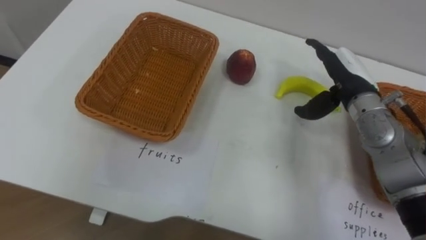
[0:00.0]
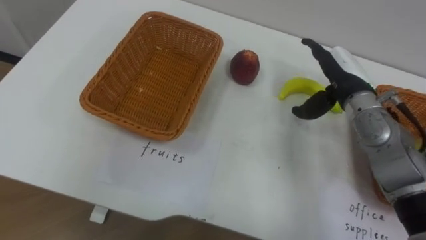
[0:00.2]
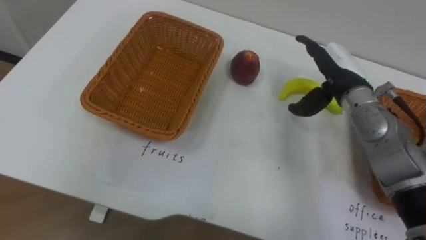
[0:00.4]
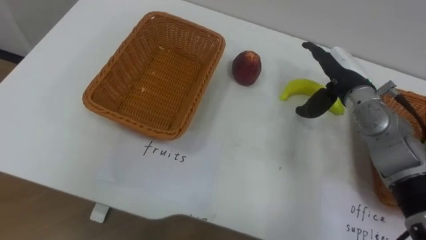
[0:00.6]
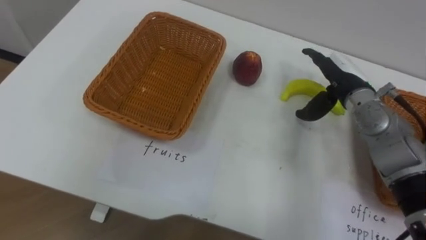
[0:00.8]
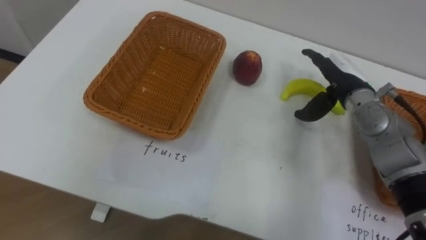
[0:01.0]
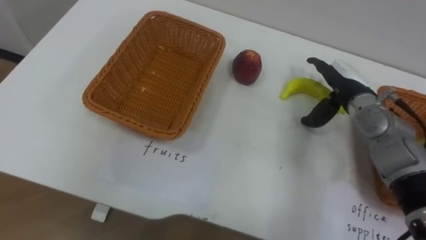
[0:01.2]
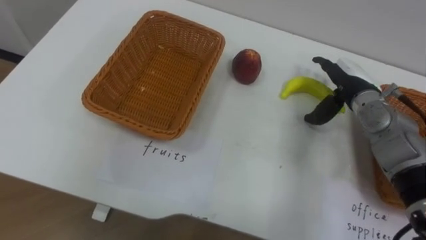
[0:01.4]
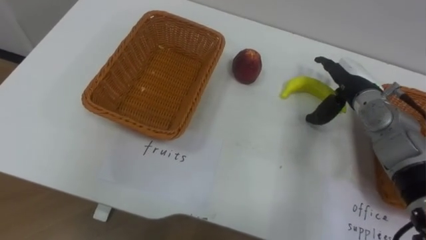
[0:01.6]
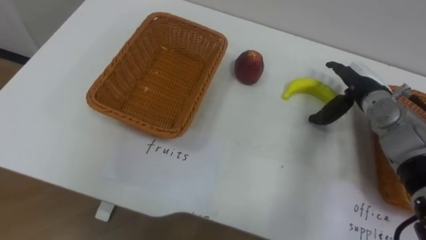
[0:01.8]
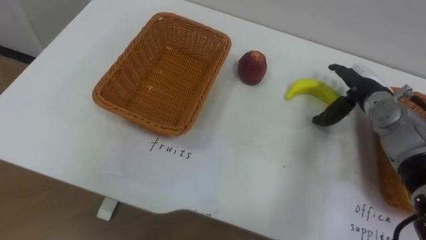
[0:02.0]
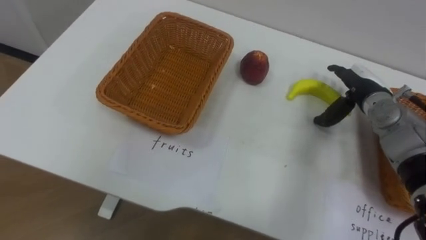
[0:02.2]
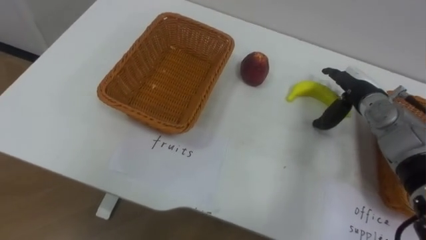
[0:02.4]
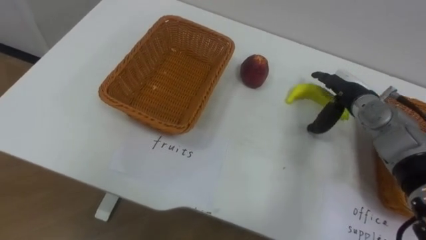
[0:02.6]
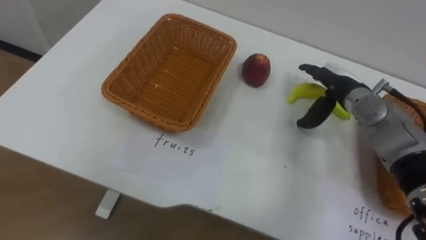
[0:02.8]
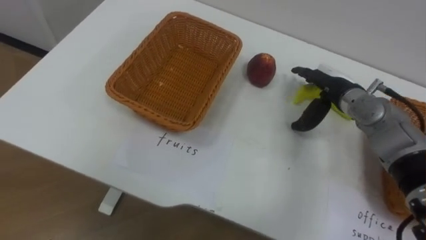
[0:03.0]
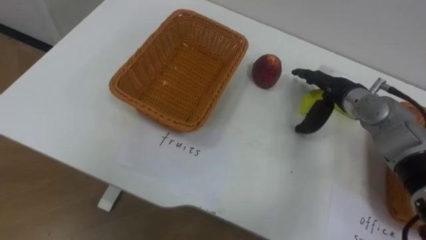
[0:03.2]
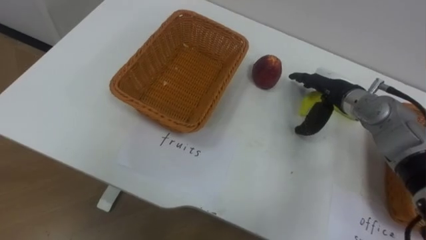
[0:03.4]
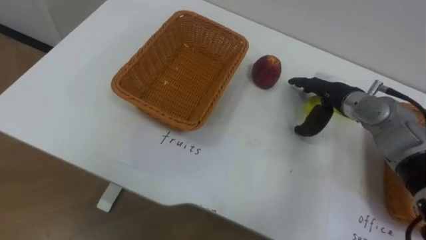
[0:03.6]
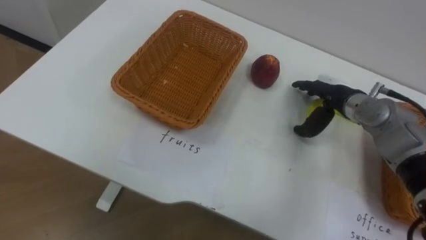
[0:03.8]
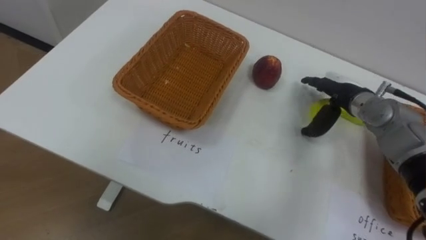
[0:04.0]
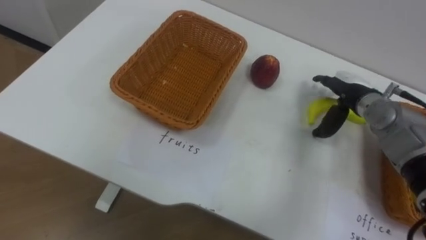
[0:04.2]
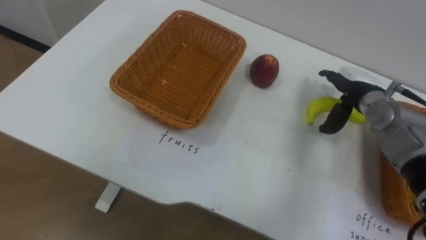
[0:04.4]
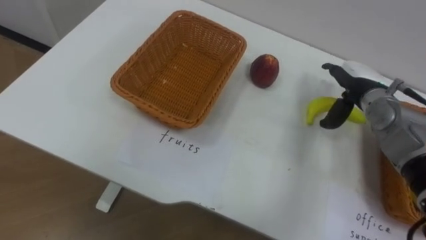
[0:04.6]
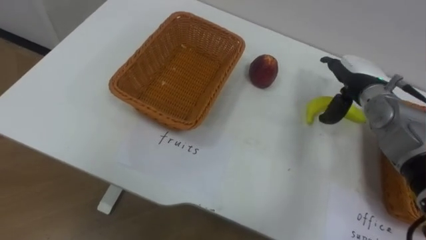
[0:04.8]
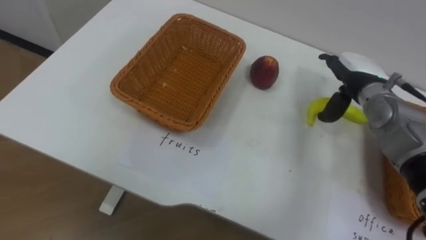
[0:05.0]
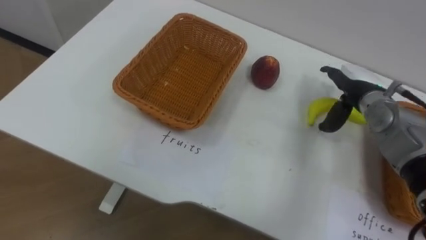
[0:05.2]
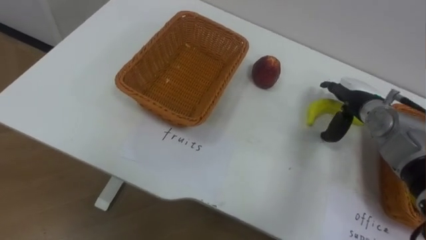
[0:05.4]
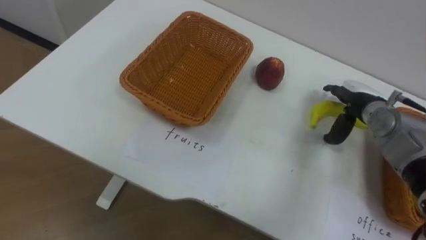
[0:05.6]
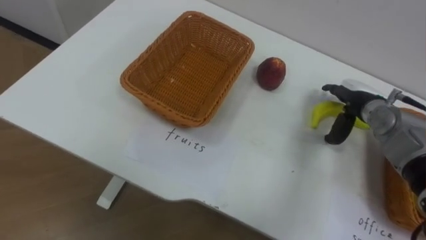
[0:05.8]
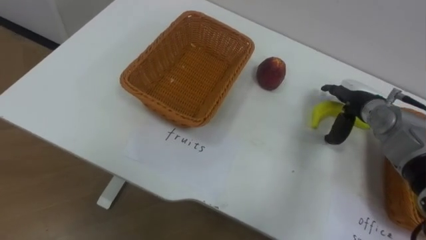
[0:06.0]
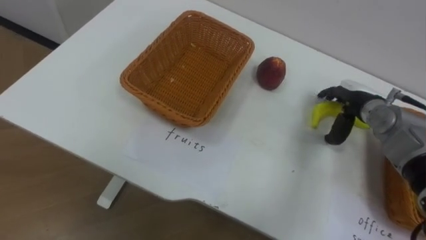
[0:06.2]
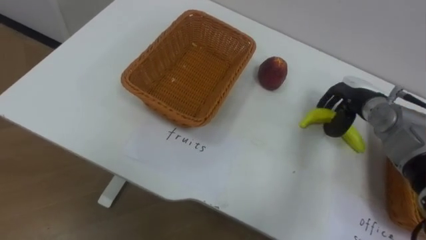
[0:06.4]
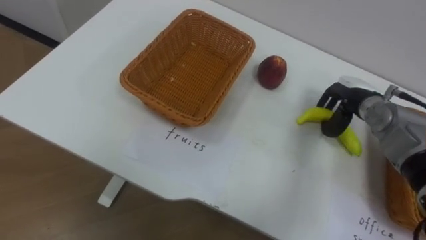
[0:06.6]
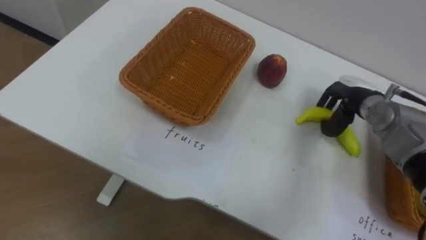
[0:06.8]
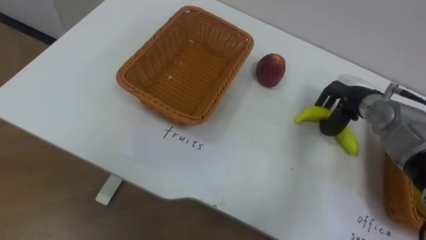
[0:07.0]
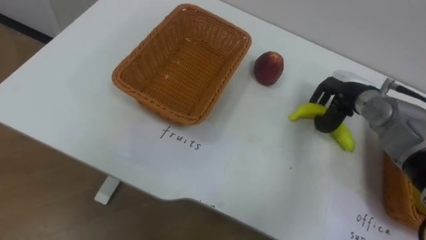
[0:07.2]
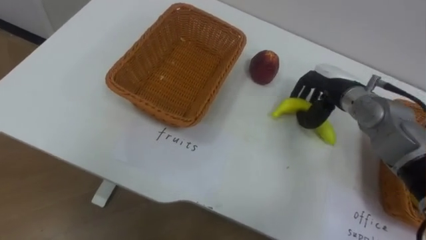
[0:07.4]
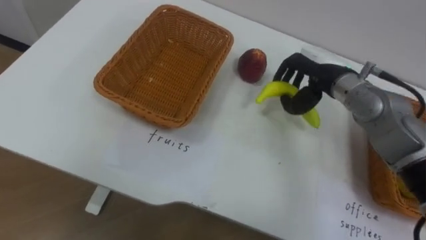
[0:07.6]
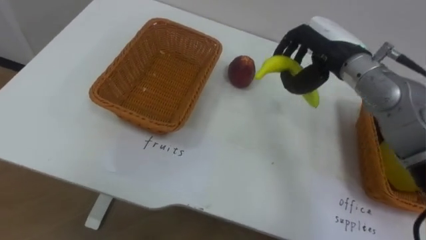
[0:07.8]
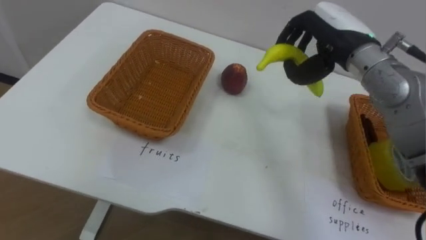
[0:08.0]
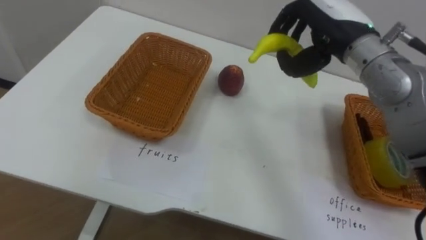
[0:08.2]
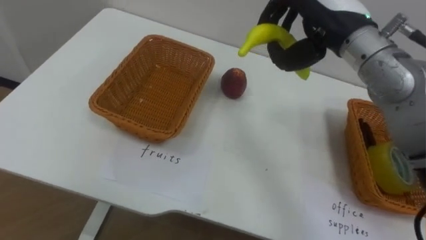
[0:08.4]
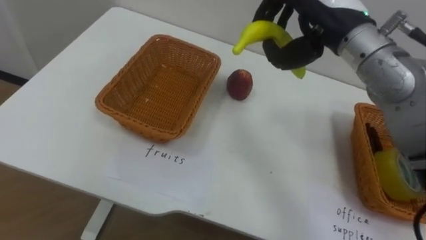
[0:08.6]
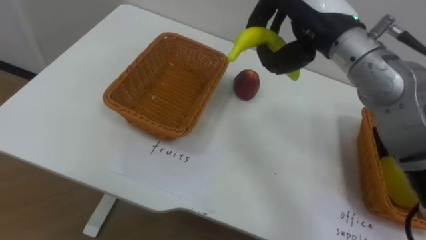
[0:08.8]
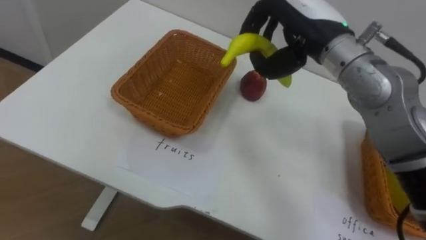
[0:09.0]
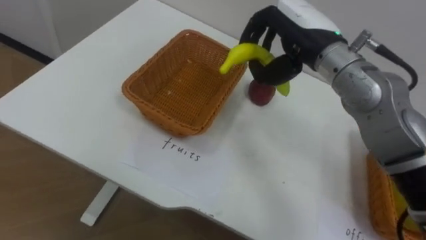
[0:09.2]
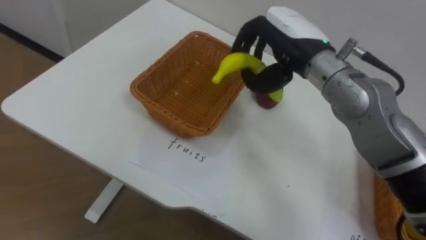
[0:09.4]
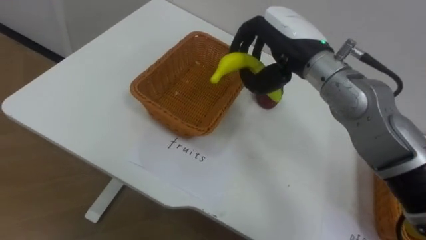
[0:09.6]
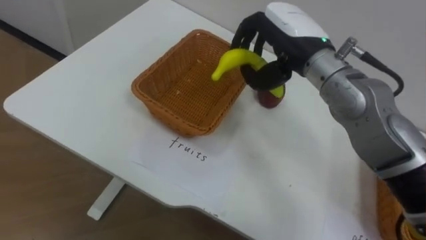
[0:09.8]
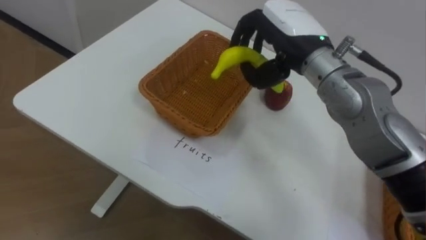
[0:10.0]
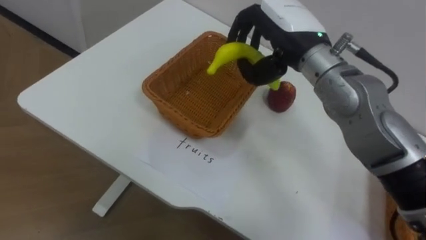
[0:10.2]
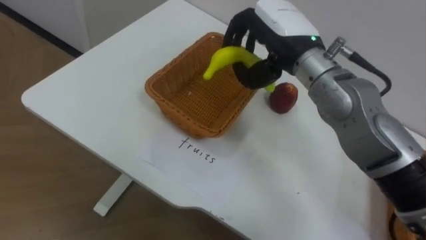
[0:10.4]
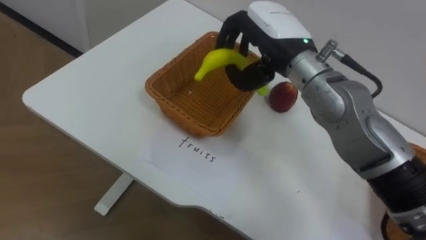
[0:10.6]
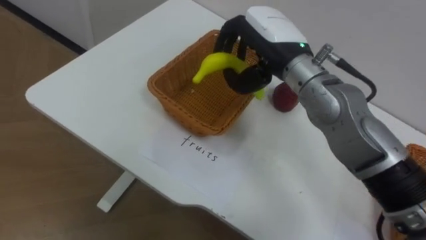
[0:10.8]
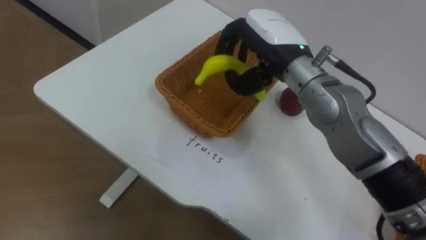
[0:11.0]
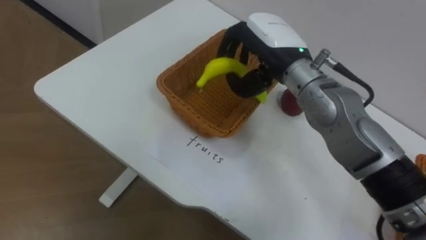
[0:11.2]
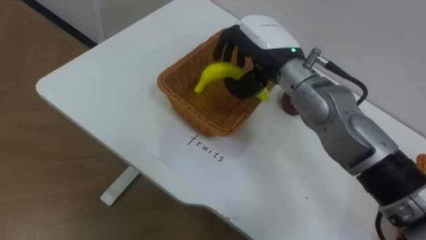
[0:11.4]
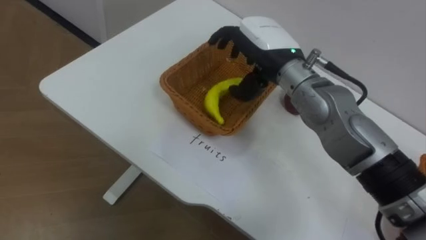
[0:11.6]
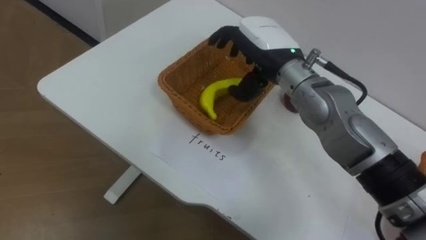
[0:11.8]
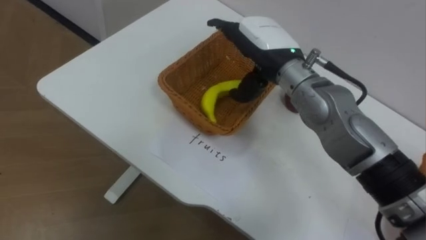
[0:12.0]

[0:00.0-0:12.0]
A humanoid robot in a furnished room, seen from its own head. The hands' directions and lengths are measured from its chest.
Task of the whole recording: Separate the items on the table and place them into the two baskets.
6.0 to 7.6 s: The right hand is displaced to the left and upward by roughly 10 cm, and closes.
7.6 to 9.0 s: The right hand goes some 15 cm upward and to the left.
10.4 to 12.0 s: The right hand opens.

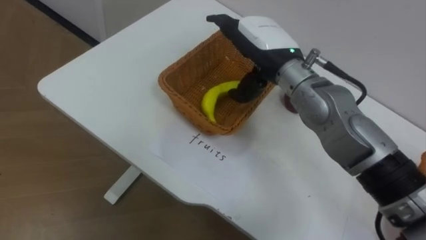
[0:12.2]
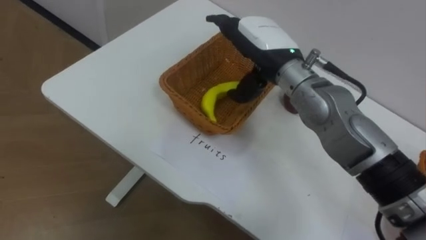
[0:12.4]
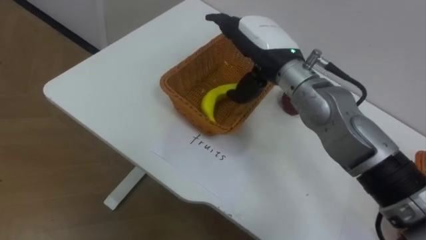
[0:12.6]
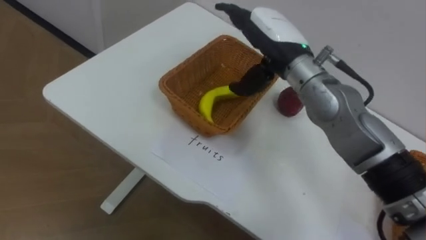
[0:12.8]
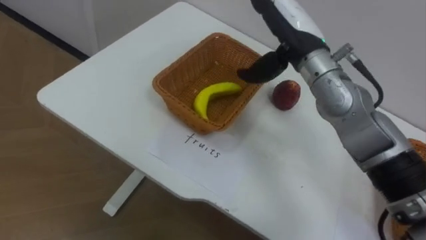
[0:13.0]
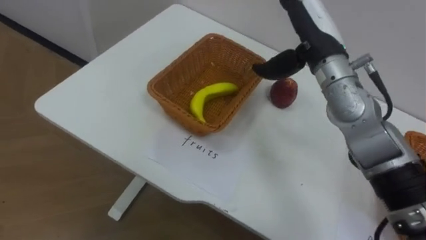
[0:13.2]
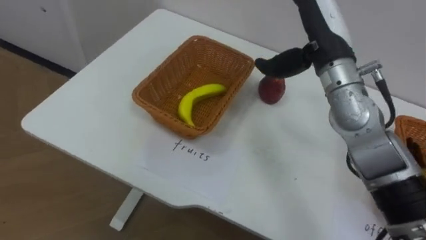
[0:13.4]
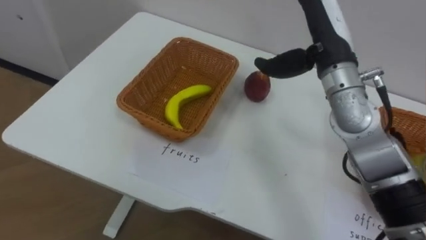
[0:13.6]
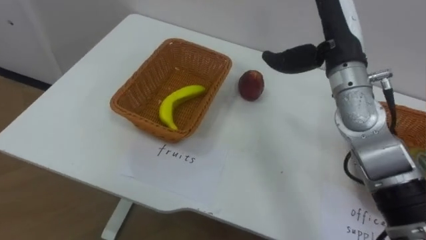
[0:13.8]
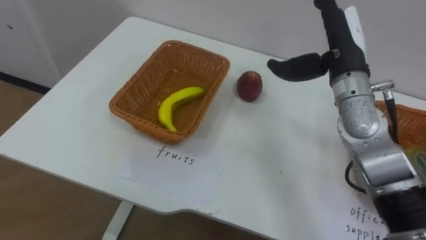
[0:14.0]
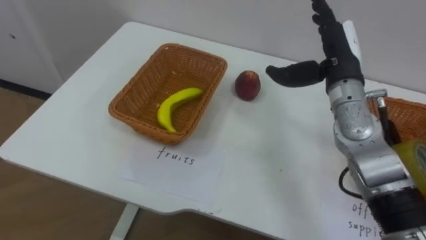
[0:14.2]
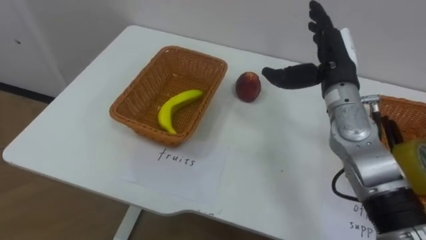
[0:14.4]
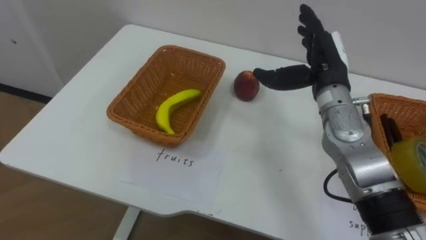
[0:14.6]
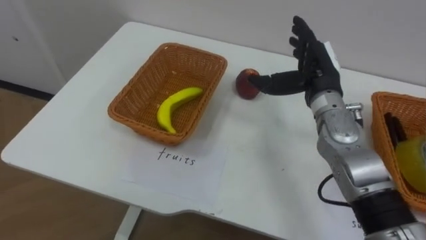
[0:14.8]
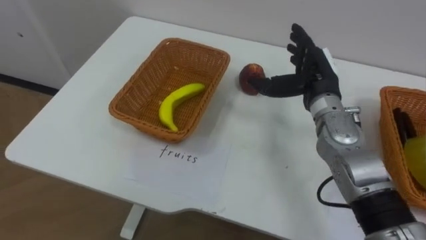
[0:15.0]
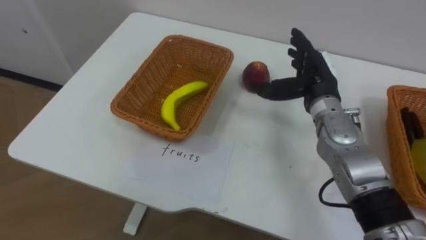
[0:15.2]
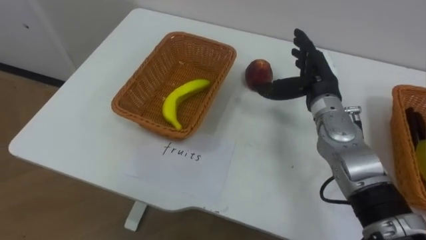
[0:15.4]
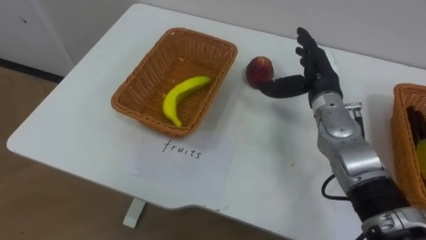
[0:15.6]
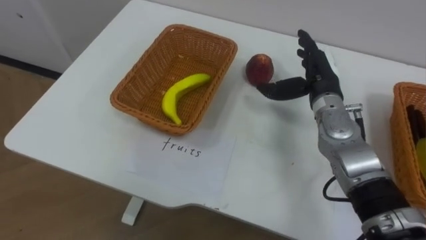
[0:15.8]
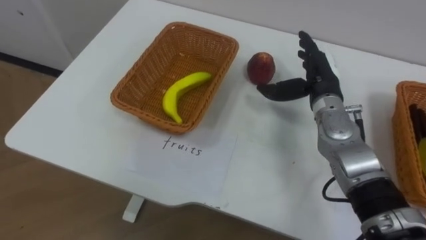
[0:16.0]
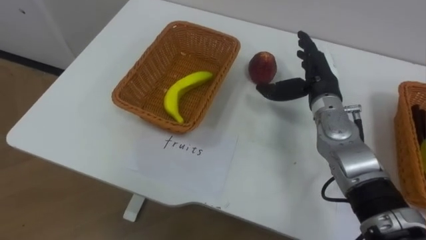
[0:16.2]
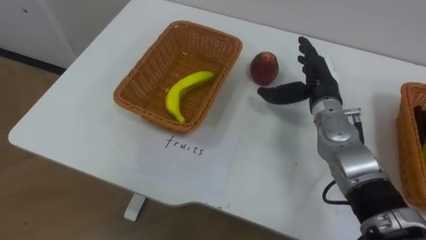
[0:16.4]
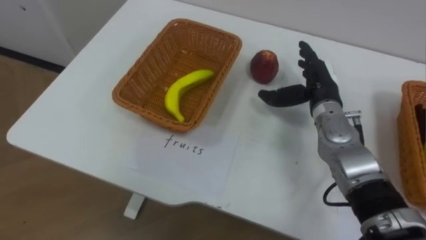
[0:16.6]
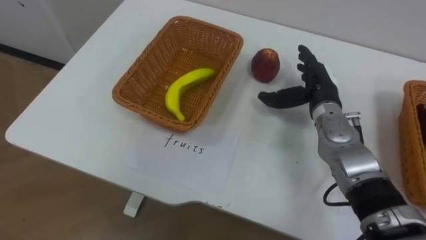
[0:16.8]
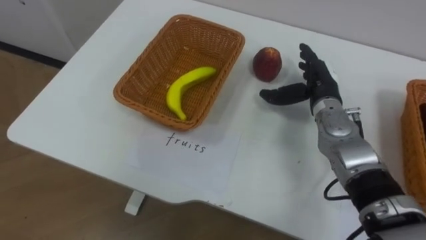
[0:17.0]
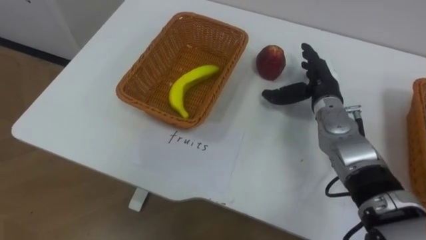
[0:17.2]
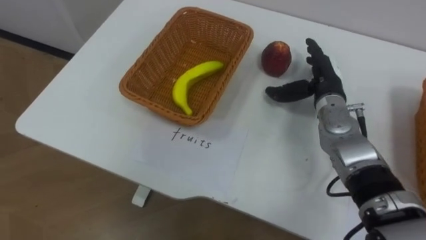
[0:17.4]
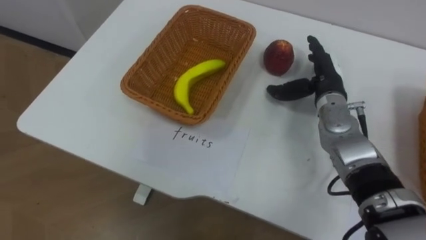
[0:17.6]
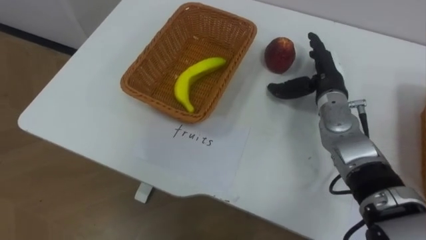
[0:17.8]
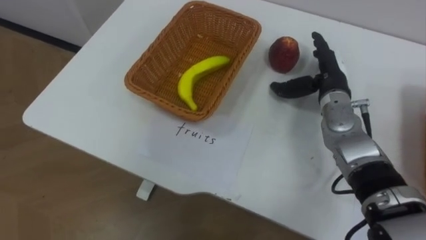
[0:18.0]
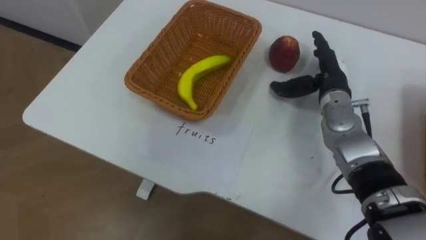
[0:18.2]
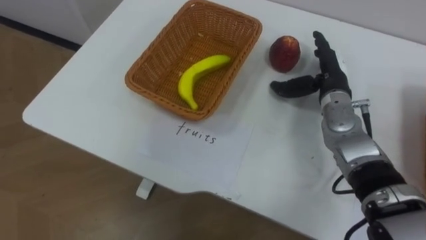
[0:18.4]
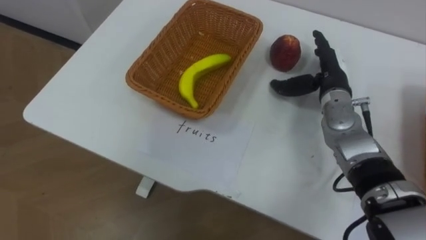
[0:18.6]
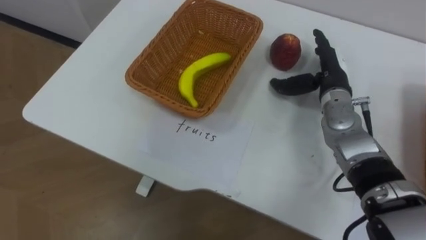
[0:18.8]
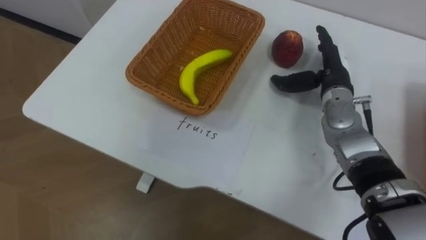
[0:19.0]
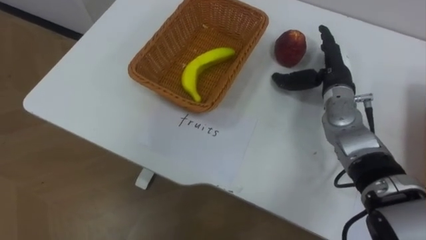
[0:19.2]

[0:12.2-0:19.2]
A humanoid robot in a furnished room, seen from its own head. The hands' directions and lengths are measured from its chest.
Task of the whole recording: Separate the items on the table and place them into the two baskets.
12.2 to 13.6 s: The right hand heads to the right, covering some 10 cm.
13.6 to 15.0 s: The right hand heads downward, covering about 10 cm.
